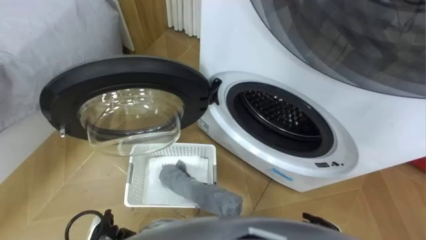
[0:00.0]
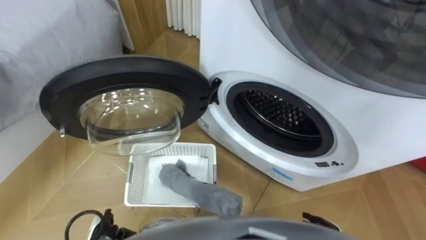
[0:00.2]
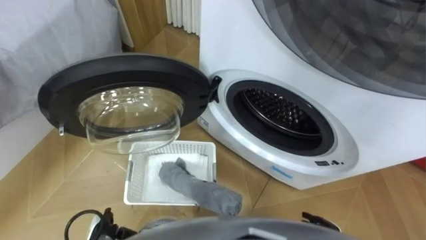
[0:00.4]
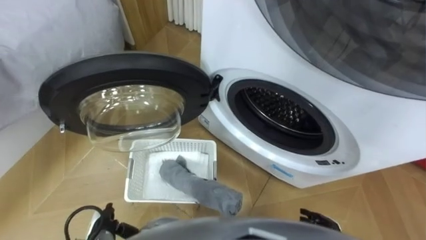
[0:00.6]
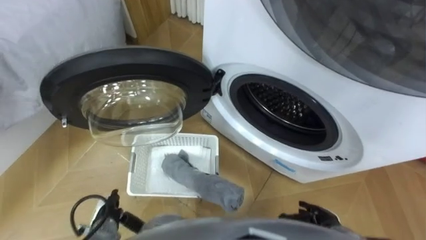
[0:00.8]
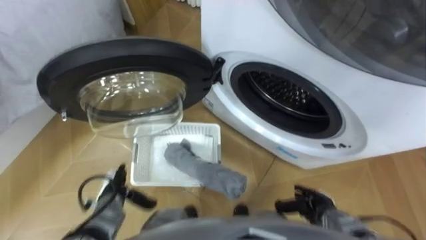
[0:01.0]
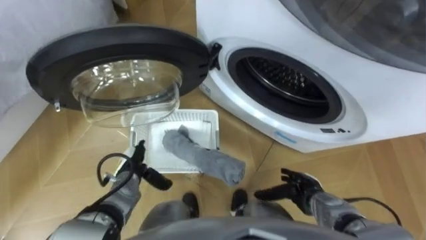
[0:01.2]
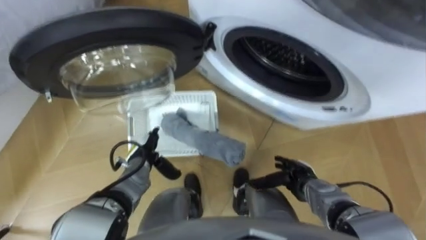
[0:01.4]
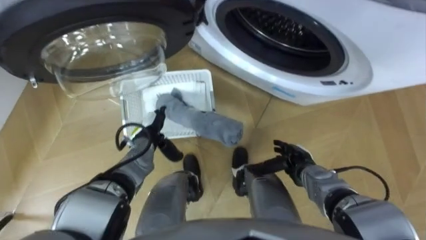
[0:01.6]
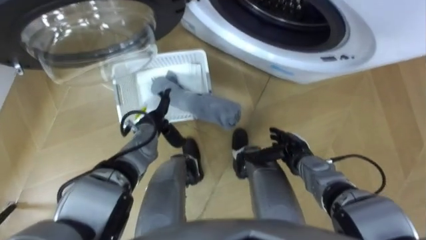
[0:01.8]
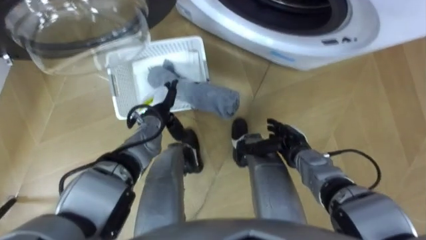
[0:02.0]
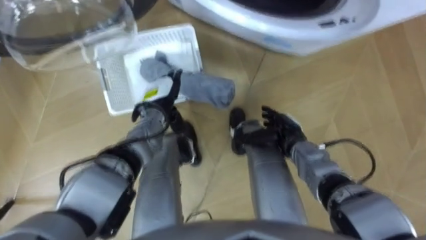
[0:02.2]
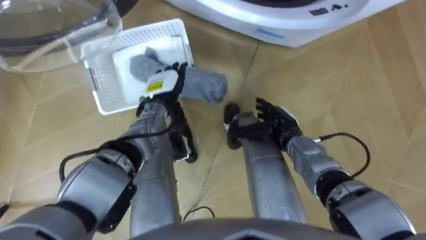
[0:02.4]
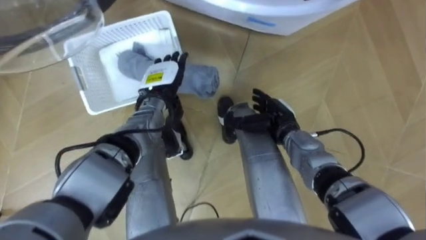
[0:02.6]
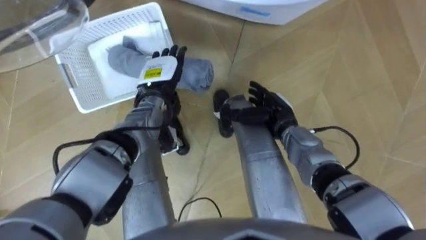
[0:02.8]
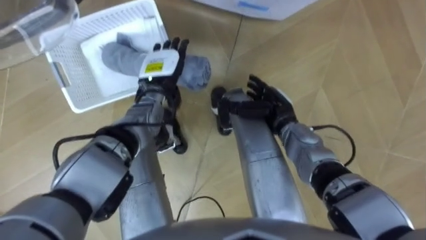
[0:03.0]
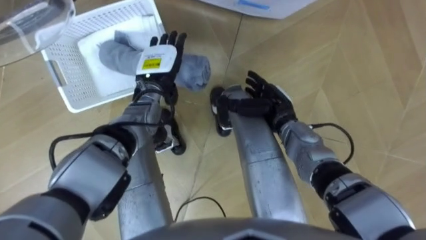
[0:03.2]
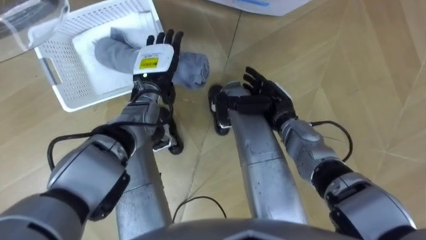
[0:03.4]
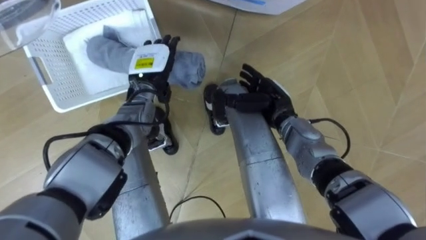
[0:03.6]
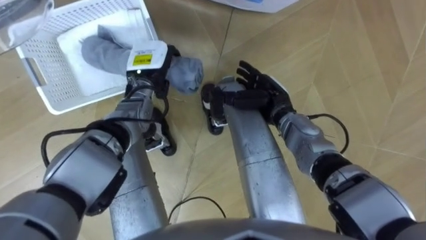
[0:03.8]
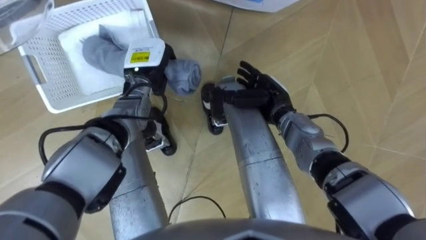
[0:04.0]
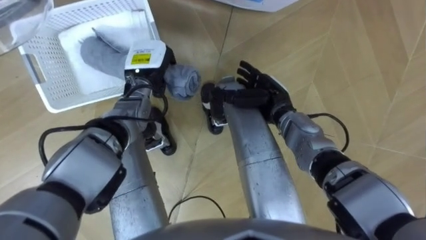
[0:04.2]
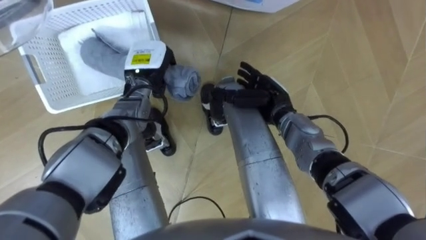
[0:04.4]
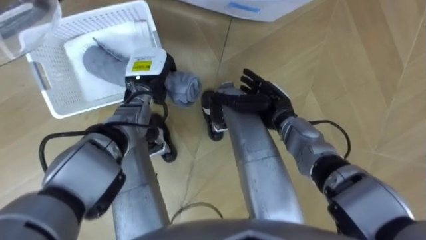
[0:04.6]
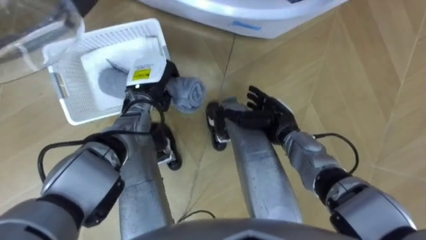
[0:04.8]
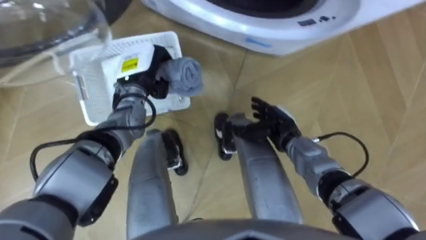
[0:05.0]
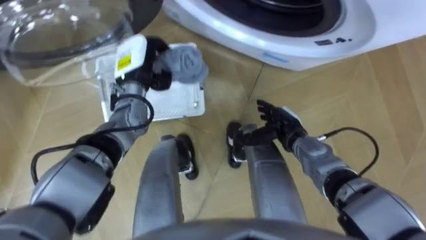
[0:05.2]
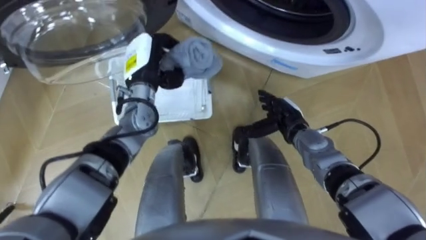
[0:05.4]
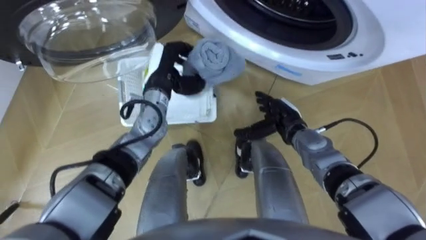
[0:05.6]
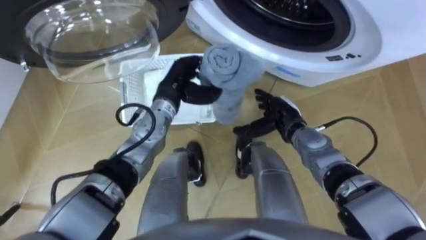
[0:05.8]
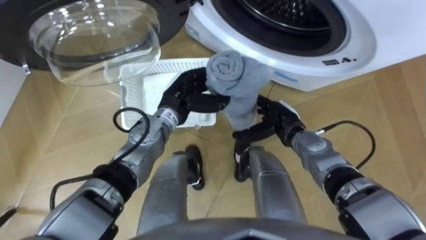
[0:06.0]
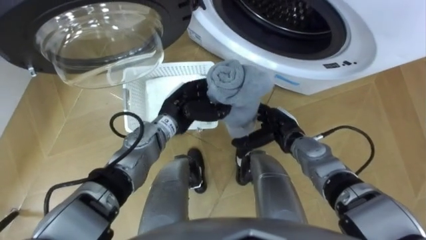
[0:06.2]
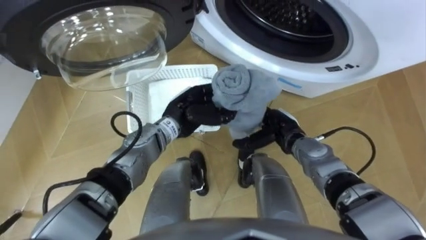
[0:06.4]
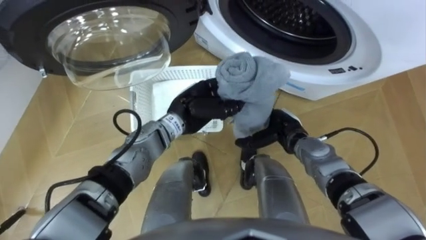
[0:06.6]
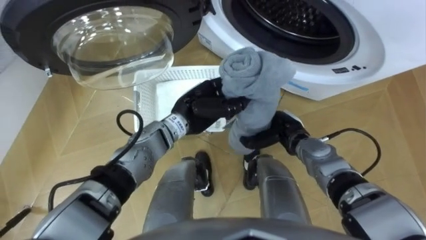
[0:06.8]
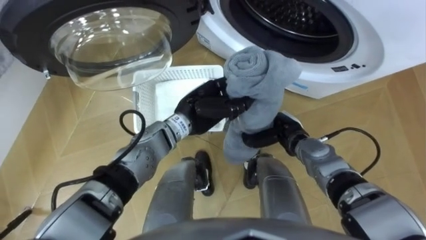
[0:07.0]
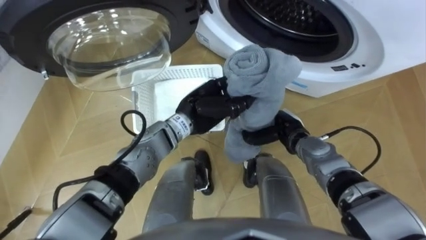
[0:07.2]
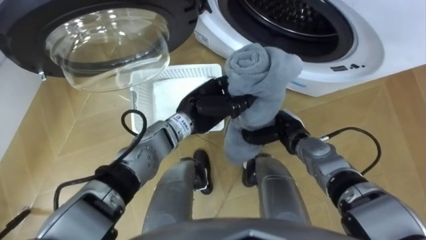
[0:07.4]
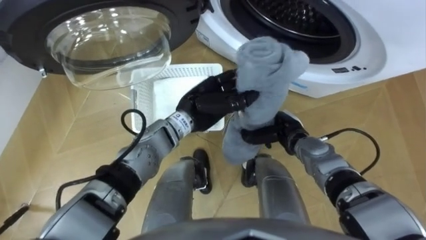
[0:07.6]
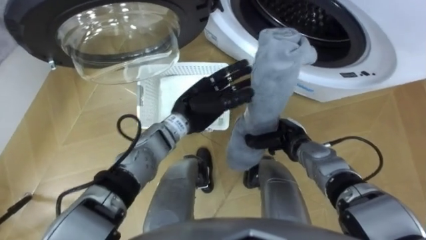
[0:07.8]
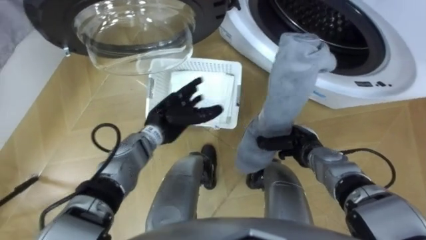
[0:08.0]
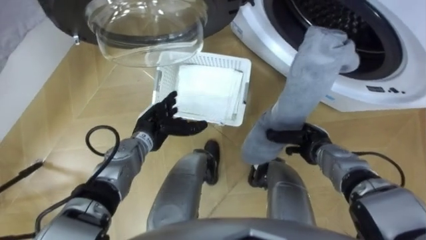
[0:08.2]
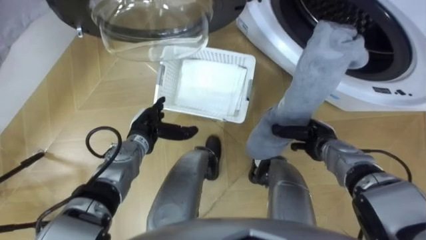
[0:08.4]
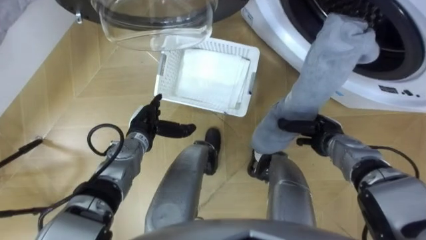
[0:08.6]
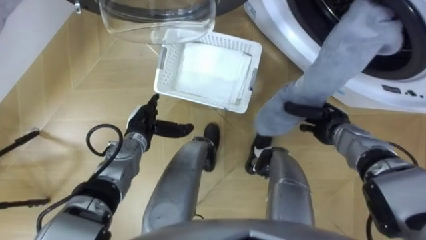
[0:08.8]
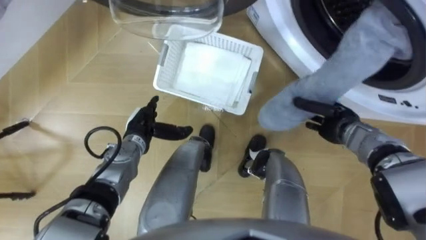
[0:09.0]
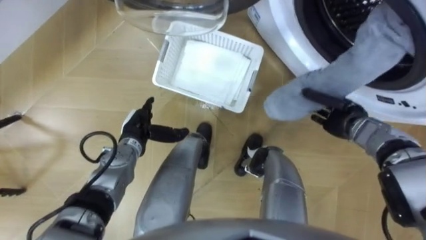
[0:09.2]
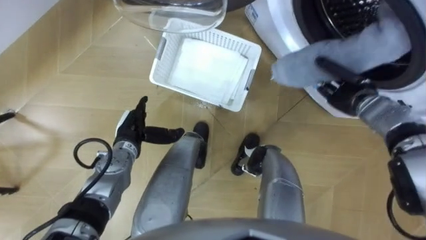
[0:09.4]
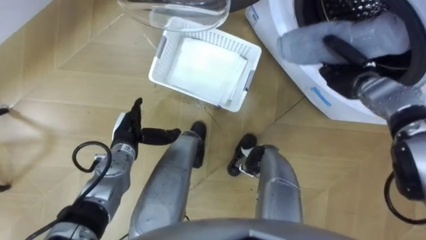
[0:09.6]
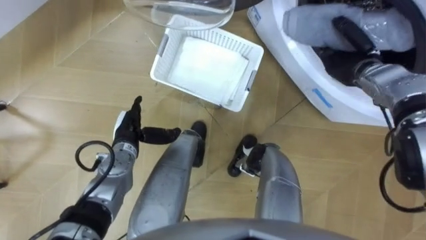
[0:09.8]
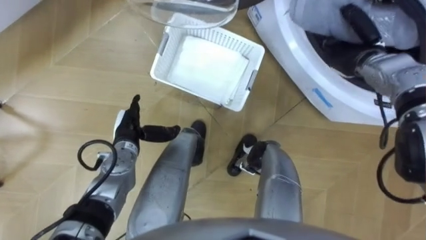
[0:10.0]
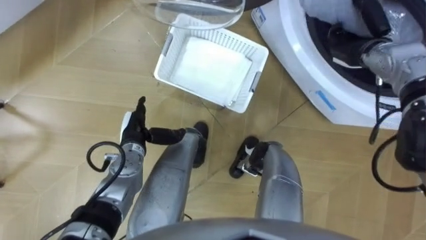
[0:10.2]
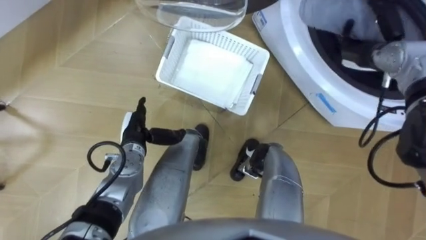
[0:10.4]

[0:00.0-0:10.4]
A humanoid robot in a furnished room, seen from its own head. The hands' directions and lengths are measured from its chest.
Task of the whole recording: Take the towel from the basket and put it into the washing machine.
0:01.4 to 0:03.0: The left hand heads forward, upward and to the right, covering some 20 cm. The right hand moves forward, upward and to the left, about 20 cm.
0:03.0 to 0:04.4: The left hand closes.
0:04.4 to 0:06.0: The right hand ends up roughly 5 cm from where it was, while the left hand goes about 10 cm to the right and backward.
0:06.0 to 0:07.4: The left hand heads to the right, covering about 5 cm, while the right hand closes its fingers.
0:07.4 to 0:09.0: The right hand shifts roughly 10 cm to the right; the left hand is displaced to the left and downward by roughly 15 cm, and opens its fingers.
0:09.0 to 0:10.4: The right hand moves upward and forward, roughly 15 cm.

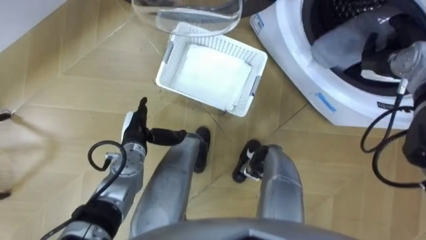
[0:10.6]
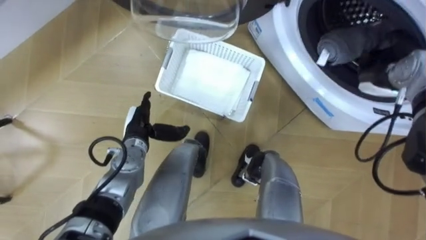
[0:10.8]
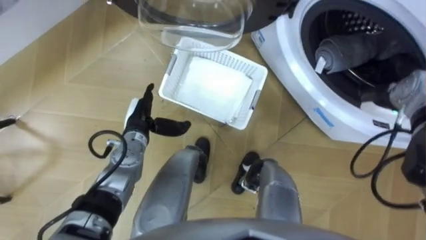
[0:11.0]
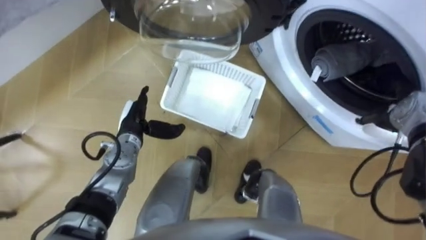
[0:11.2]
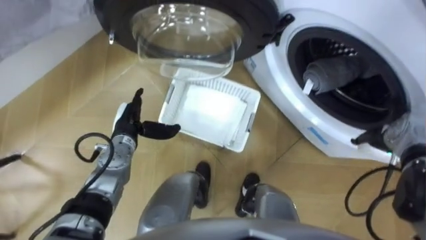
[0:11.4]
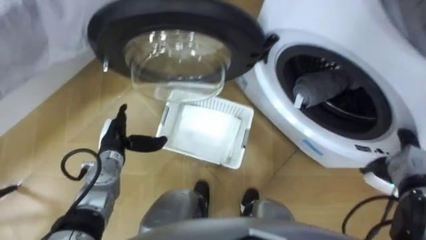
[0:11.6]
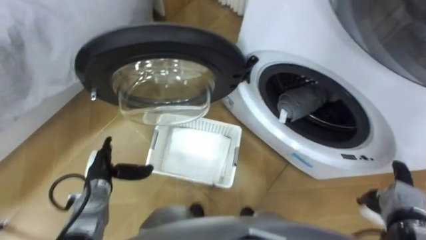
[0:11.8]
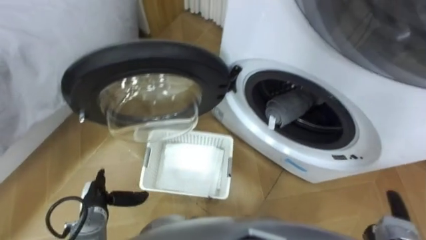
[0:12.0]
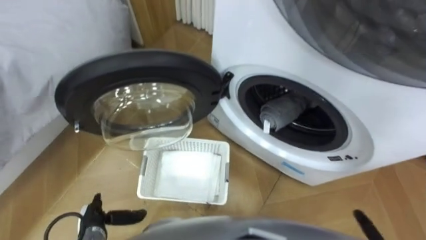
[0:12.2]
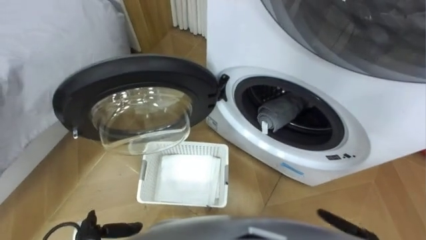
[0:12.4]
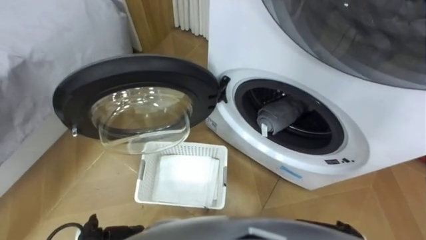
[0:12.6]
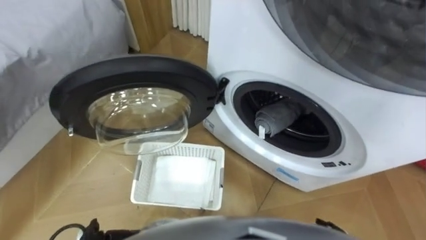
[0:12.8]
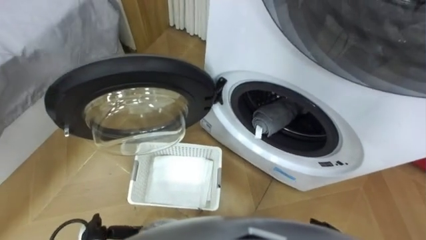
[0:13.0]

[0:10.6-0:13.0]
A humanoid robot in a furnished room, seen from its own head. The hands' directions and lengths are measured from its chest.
Task of the whole recording: Take the towel from the basket and put it into the washing machine.
0:10.6 to 0:11.8: The right hand moves backward and downward, approximately 30 cm, while the left hand is displaced to the left and backward by approximately 10 cm.

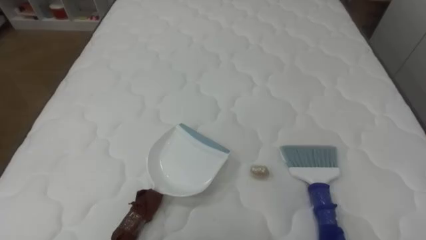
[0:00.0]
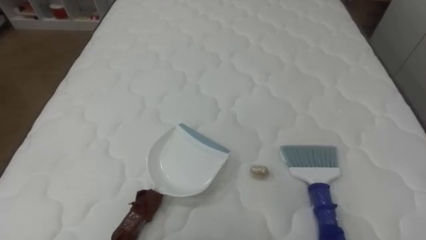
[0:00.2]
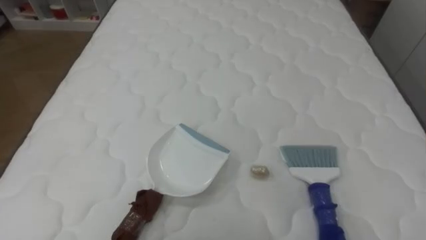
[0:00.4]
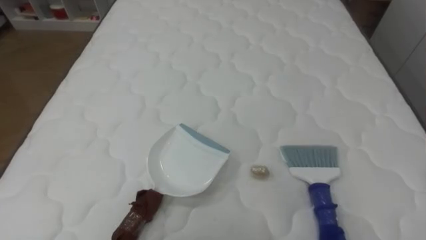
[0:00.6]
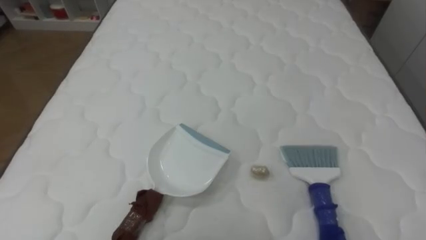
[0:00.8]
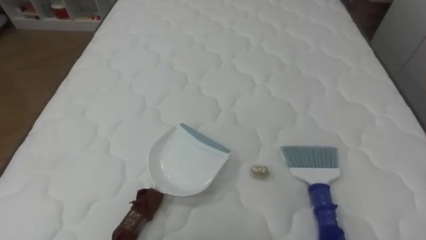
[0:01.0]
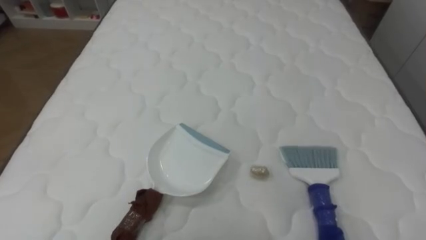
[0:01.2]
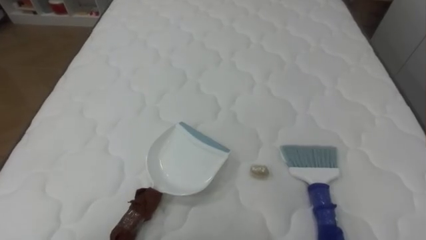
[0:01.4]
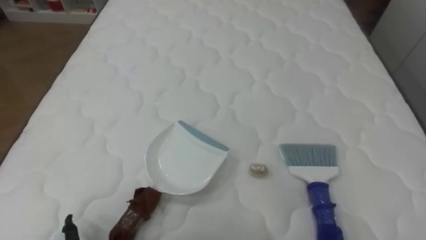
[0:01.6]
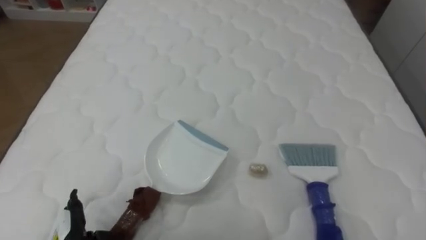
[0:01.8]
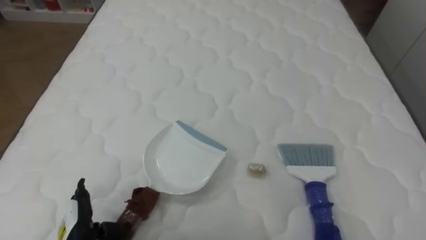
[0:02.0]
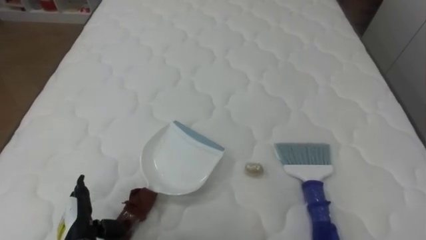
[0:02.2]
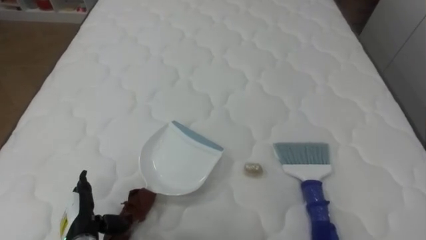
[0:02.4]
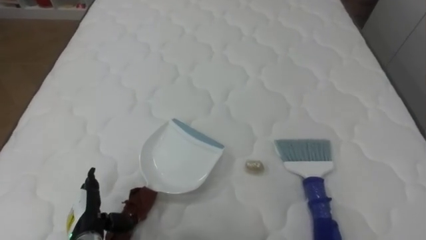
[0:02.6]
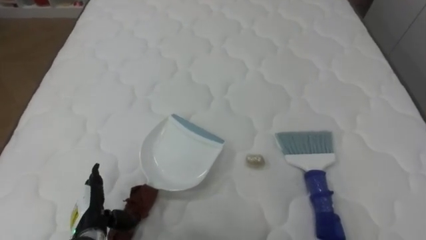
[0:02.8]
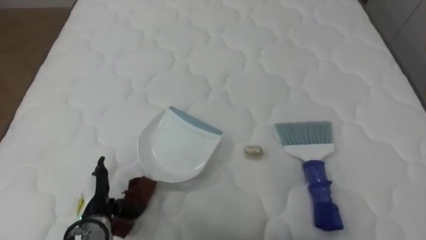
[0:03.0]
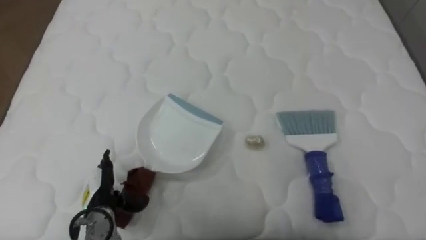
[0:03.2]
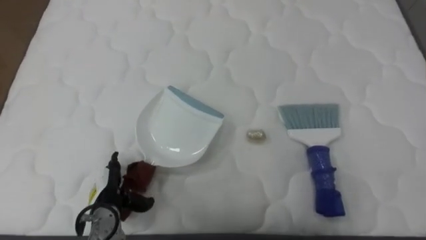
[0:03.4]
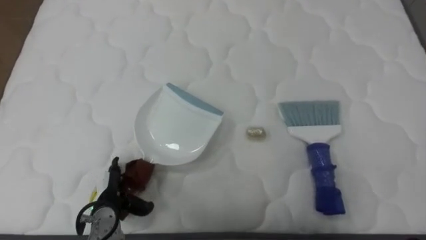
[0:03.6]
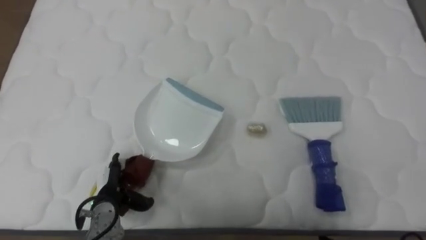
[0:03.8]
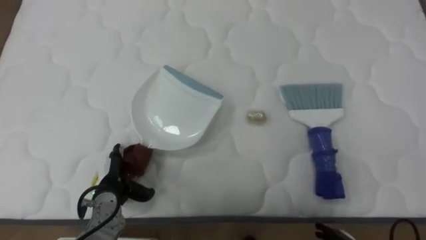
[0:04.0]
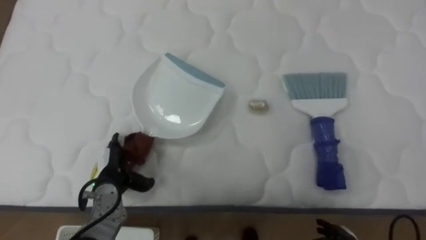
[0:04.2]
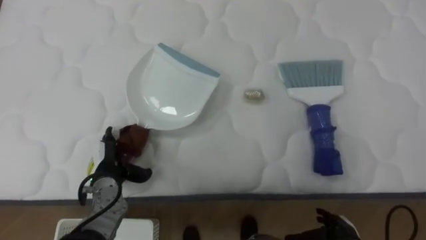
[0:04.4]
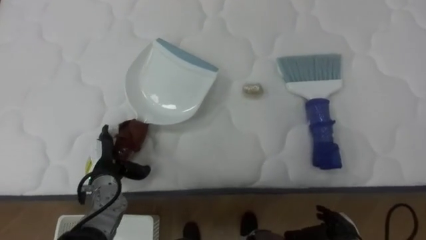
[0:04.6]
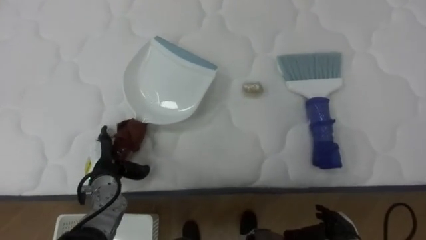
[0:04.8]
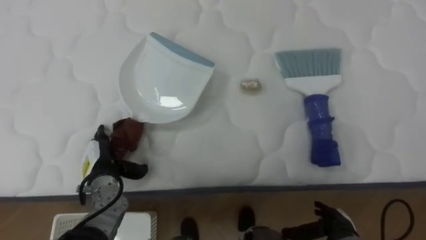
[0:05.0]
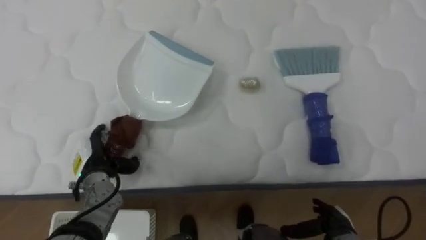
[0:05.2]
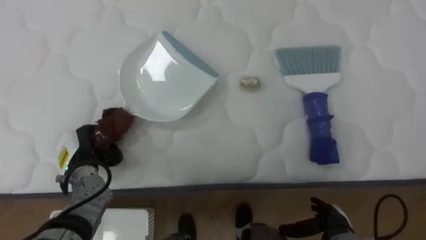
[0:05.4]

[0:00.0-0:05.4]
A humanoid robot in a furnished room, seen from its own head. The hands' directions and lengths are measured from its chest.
Task of the whole recording: Pick up the brush on your right and the dustpan on your left. Use the brush to sweep the crumpled paper on the bed into the dustpan, then turn left and empty it into the basket.
0:02.8 to 0:04.0: The left hand heads forward, covering about 5 cm.
0:04.0 to 0:05.4: The left hand heads upward, covering approximately 5 cm.
